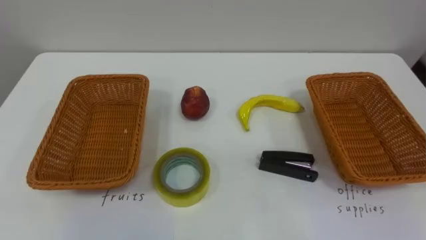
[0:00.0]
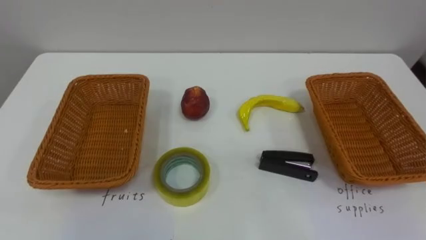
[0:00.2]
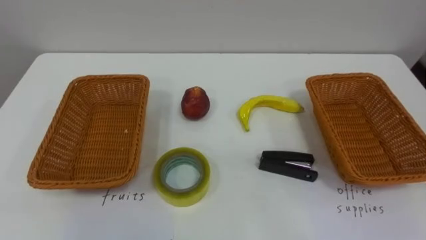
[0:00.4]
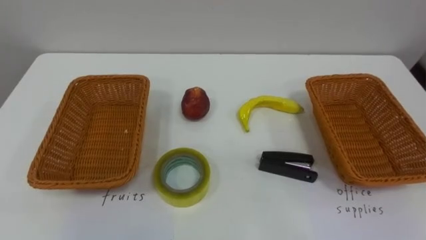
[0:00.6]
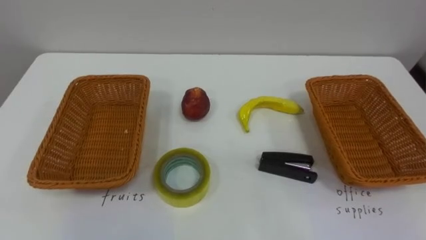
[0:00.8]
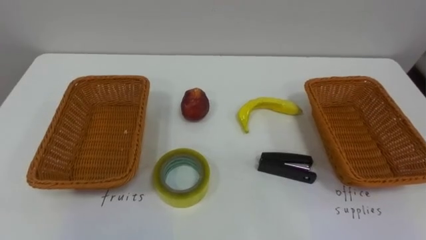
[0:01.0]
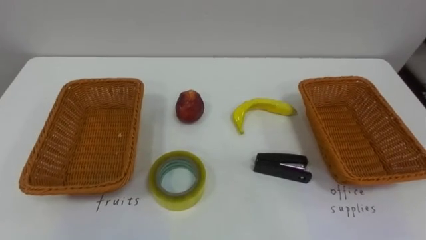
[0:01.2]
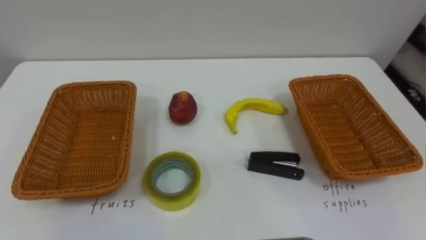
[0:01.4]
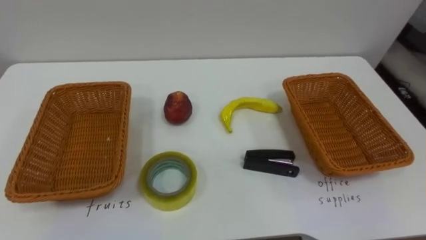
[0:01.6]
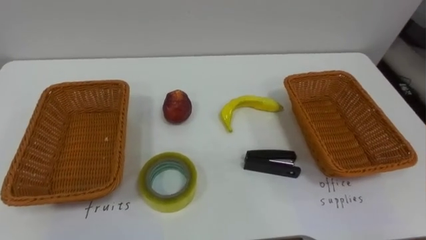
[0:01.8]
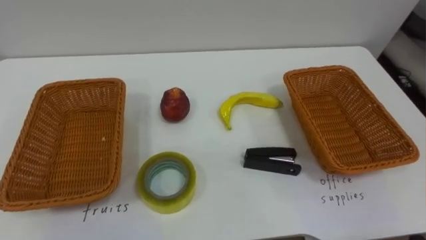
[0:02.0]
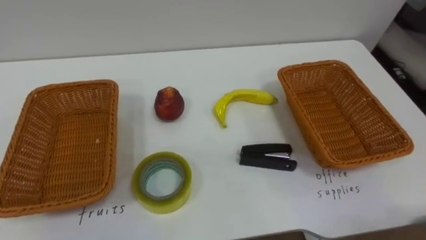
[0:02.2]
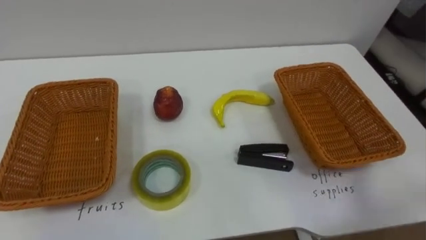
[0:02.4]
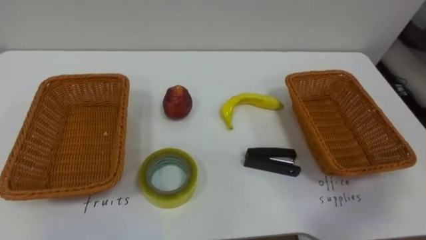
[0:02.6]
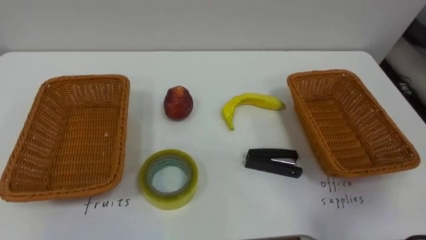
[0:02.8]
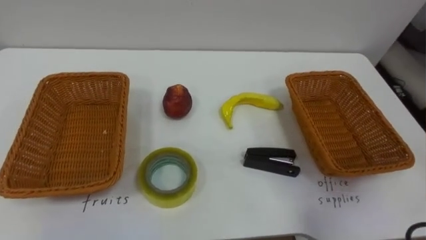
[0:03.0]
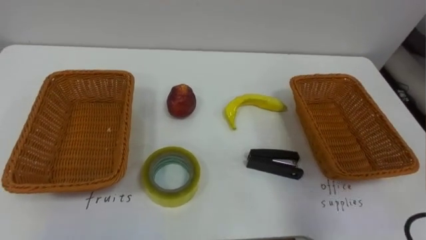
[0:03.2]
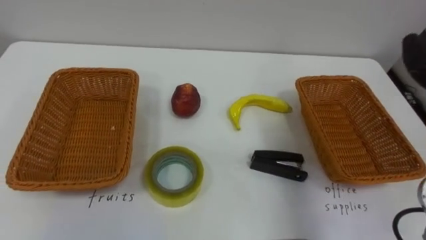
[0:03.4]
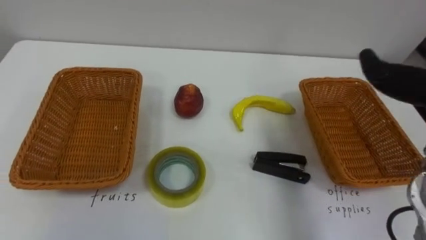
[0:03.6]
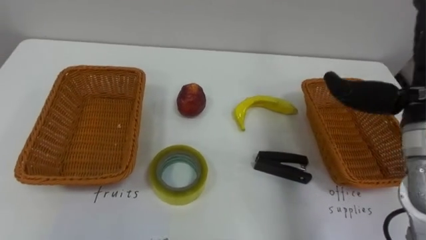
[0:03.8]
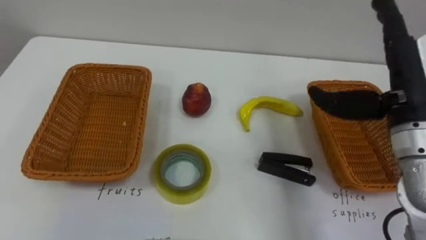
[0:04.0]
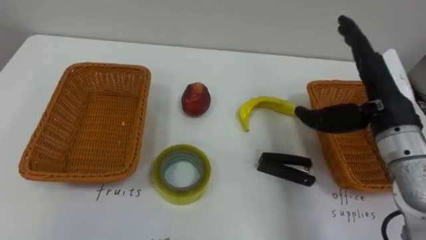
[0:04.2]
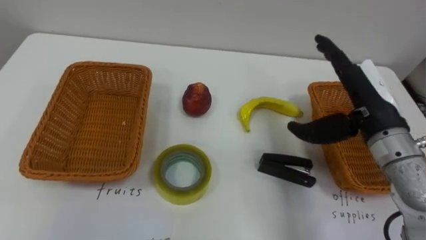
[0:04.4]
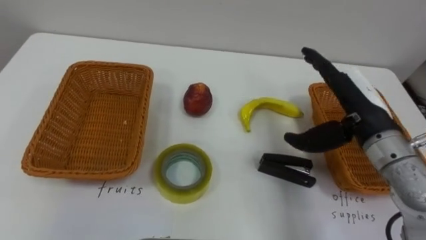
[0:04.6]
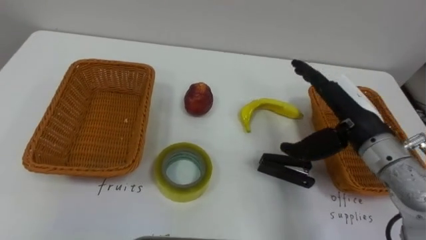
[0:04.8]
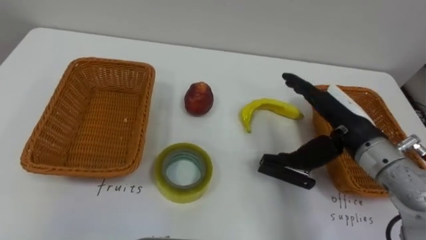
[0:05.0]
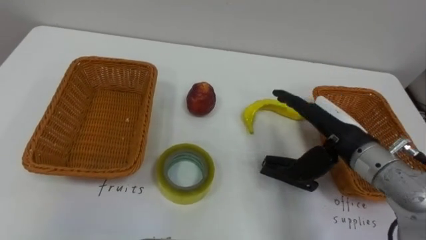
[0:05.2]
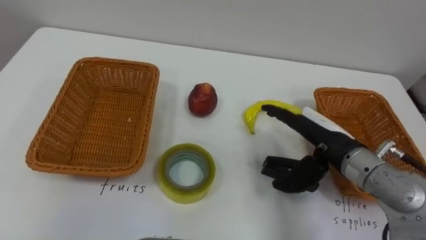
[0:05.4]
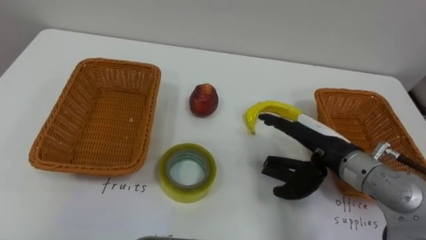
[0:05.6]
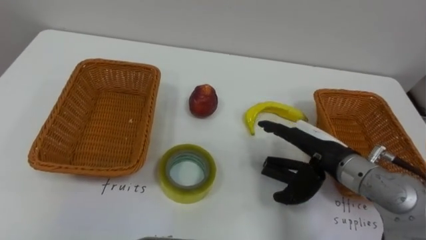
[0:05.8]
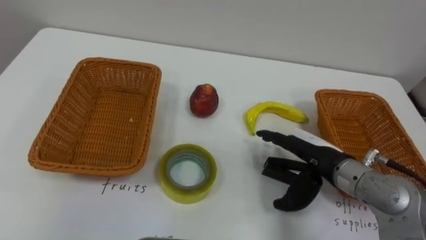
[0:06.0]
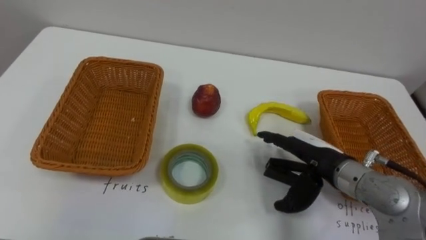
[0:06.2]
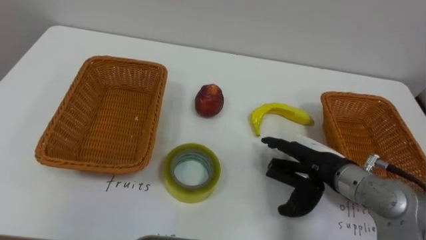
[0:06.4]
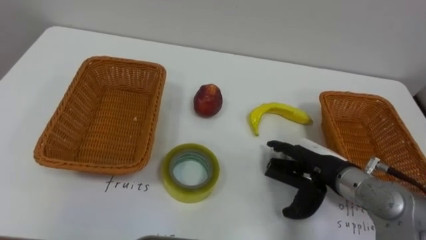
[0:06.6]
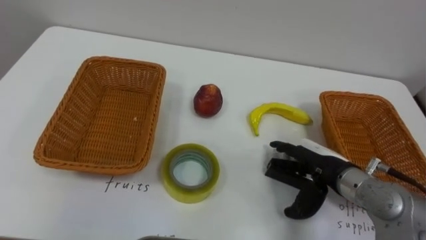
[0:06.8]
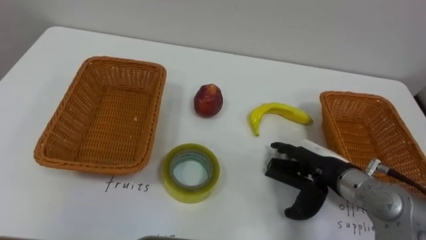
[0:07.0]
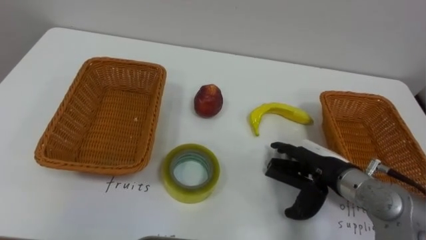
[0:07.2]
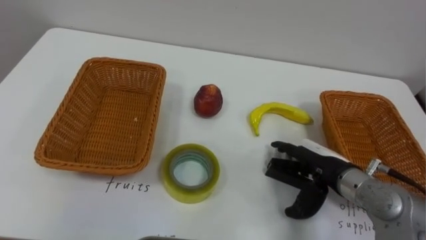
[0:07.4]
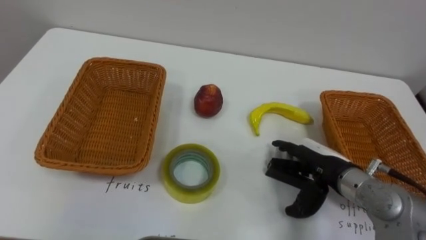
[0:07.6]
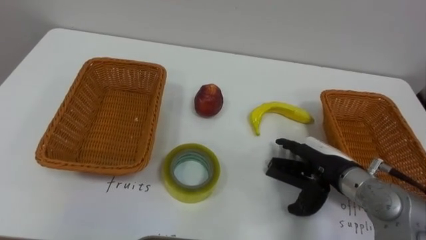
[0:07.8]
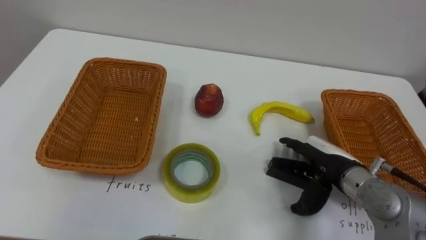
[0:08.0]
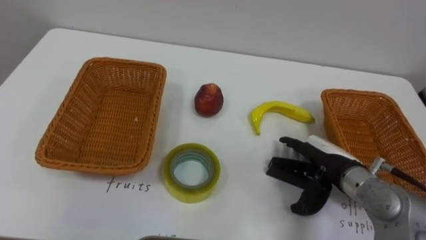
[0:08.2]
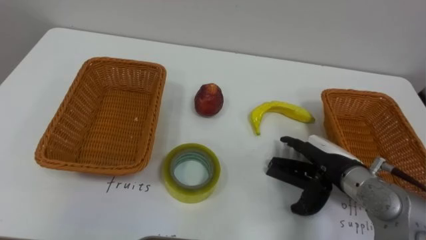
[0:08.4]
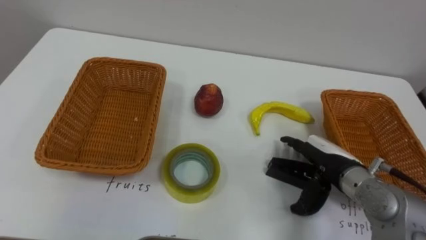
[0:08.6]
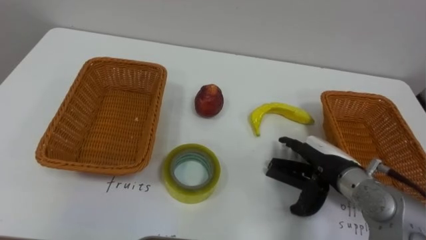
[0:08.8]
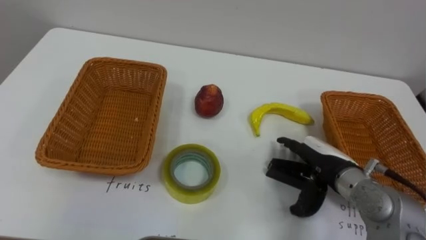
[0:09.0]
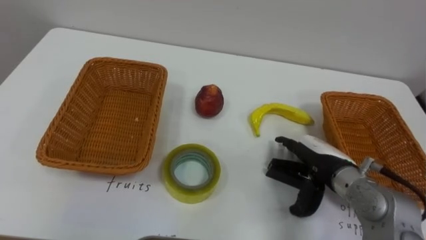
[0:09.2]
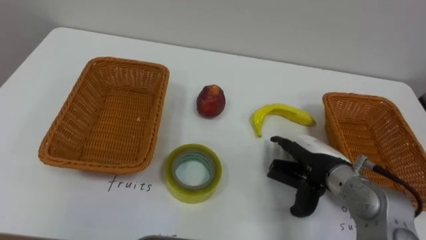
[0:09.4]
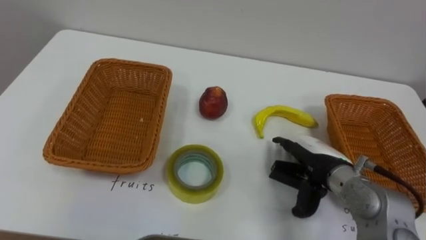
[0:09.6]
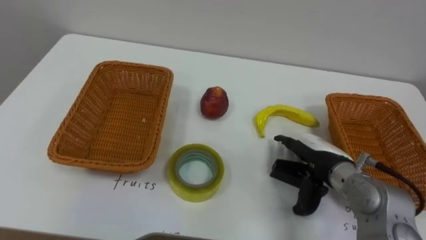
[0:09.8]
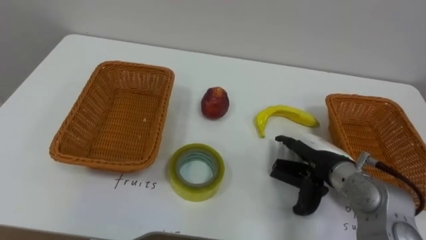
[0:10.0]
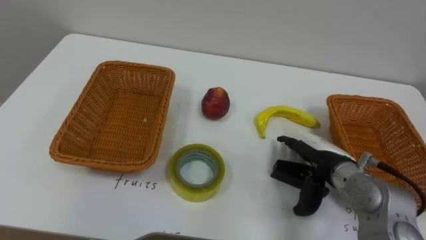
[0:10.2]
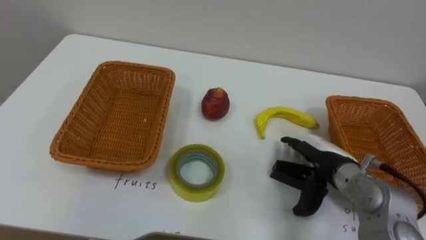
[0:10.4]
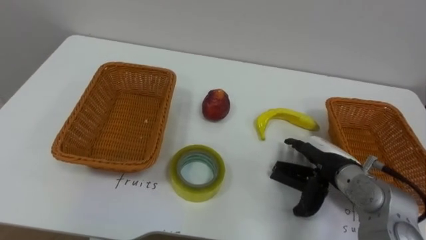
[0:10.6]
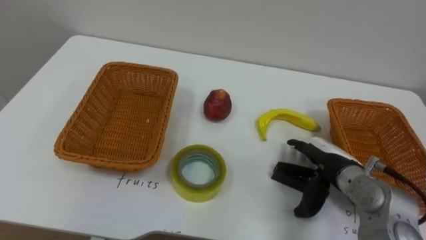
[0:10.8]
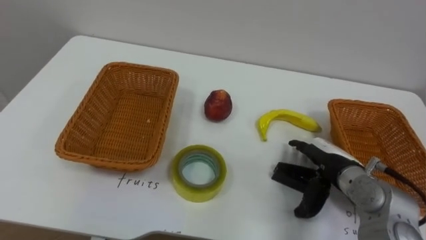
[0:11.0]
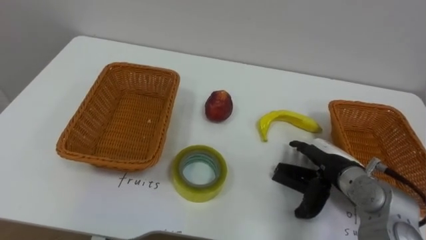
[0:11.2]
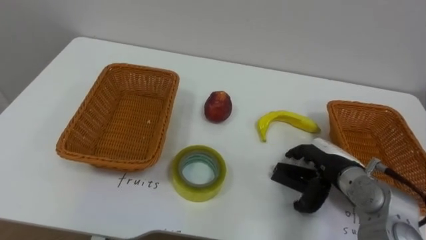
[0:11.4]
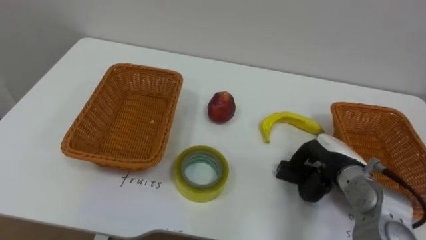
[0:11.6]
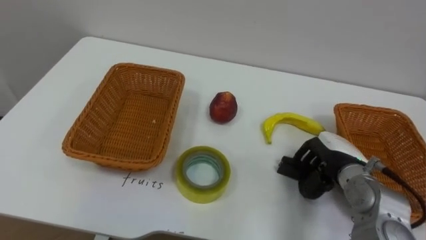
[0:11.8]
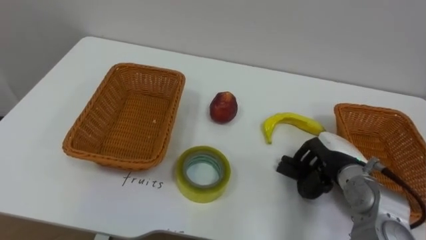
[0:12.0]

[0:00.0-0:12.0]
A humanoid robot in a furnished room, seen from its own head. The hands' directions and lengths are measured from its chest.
Task of the whole recording: Separate the items on the table and place them into the two baskets.
0:04.4 to 0:06.0: The right hand is displaced downward and to the left by about 10 cm.
0:10.4 to 0:12.0: The right hand closes.

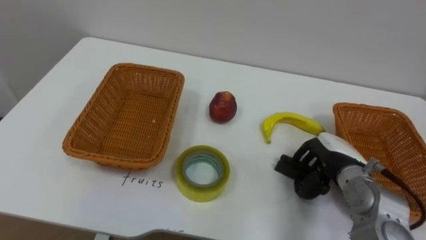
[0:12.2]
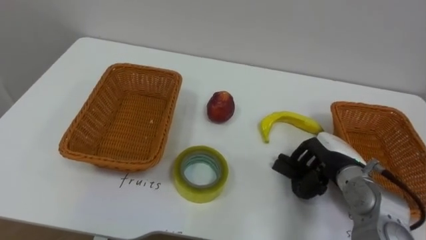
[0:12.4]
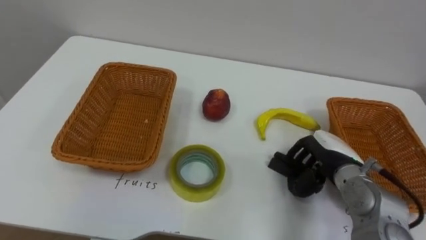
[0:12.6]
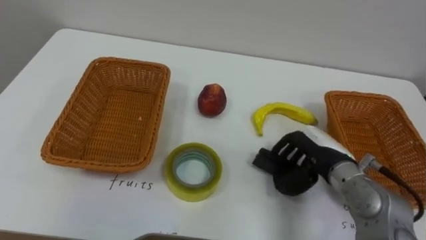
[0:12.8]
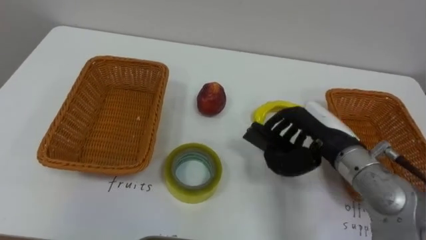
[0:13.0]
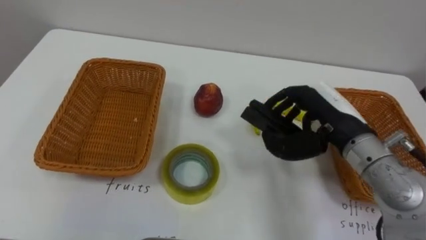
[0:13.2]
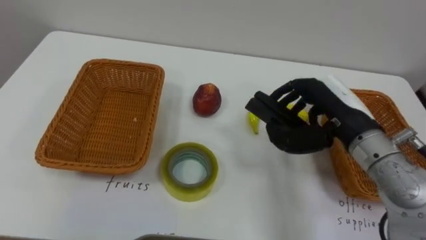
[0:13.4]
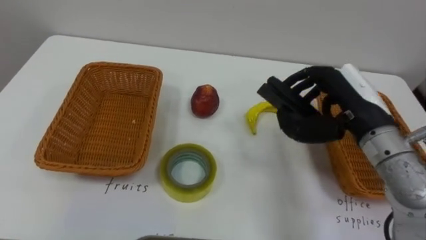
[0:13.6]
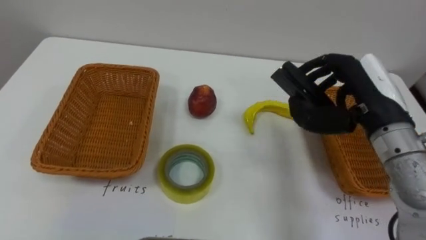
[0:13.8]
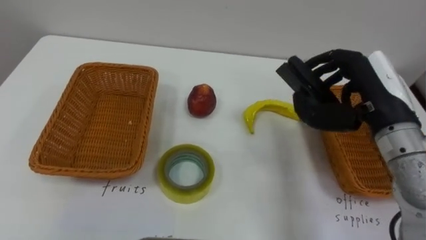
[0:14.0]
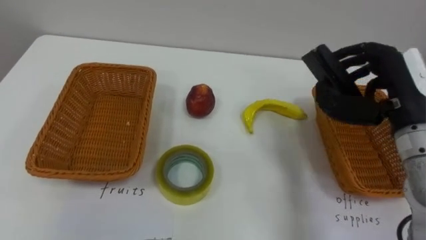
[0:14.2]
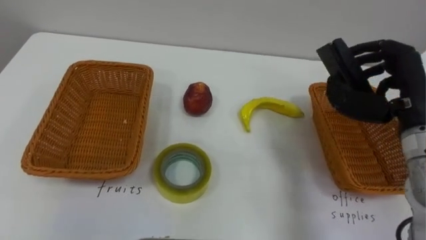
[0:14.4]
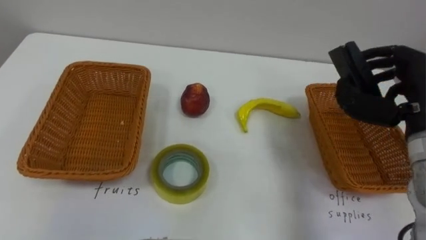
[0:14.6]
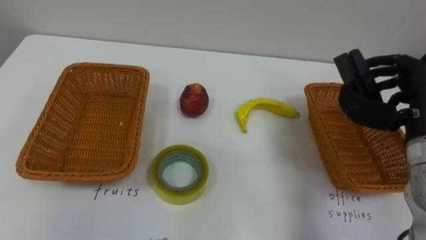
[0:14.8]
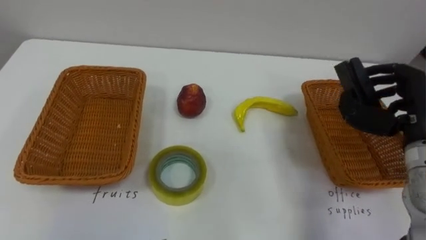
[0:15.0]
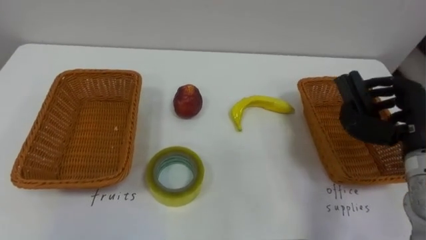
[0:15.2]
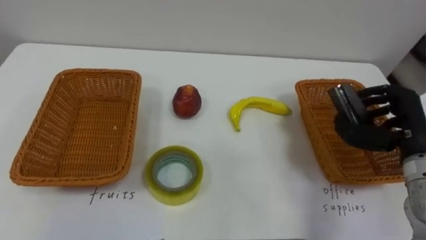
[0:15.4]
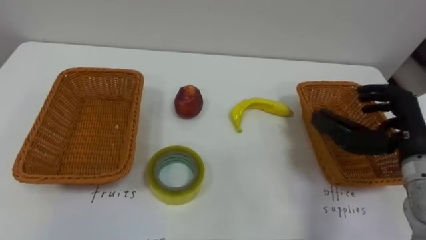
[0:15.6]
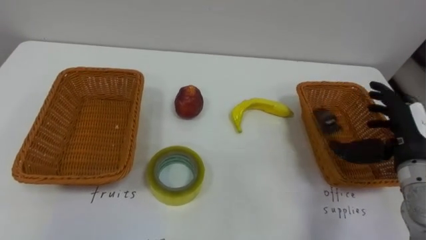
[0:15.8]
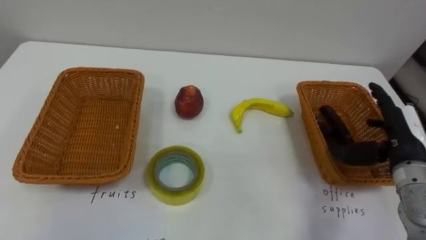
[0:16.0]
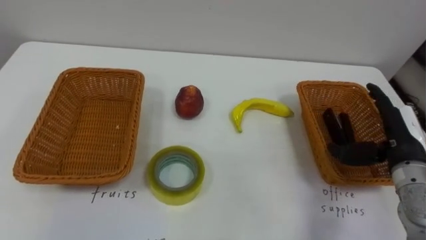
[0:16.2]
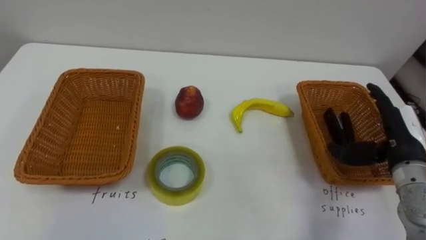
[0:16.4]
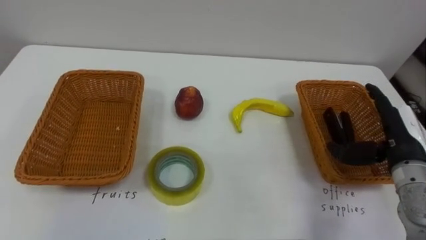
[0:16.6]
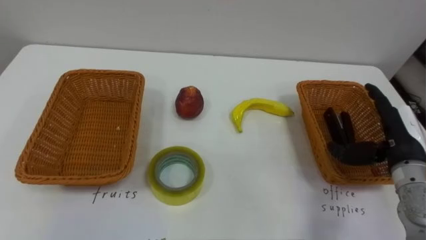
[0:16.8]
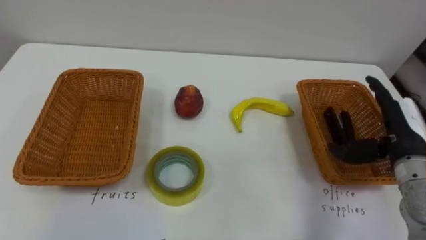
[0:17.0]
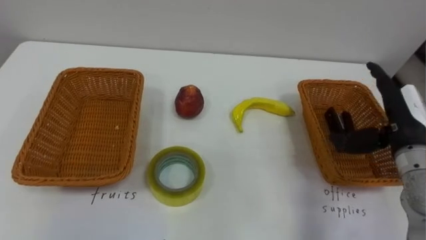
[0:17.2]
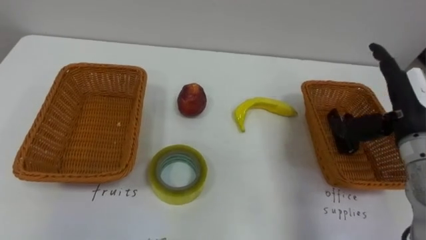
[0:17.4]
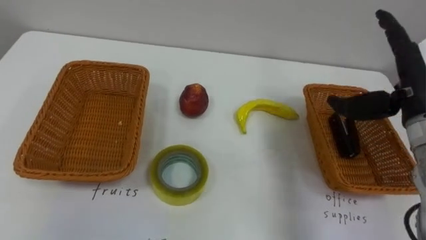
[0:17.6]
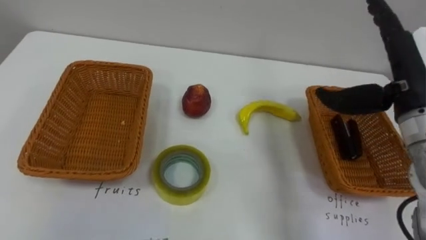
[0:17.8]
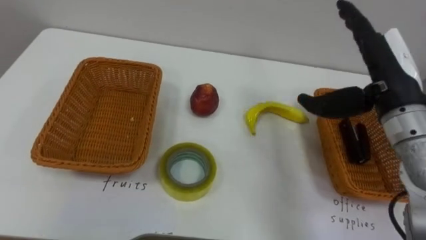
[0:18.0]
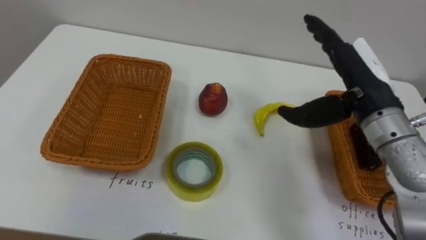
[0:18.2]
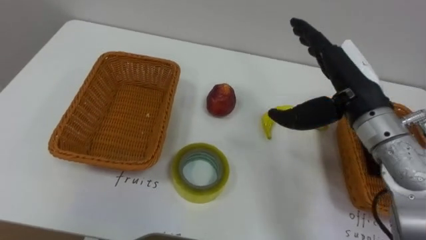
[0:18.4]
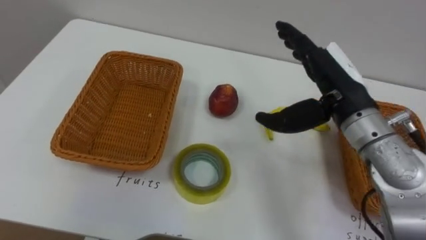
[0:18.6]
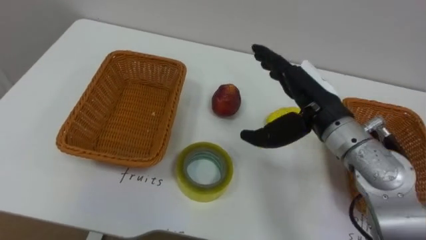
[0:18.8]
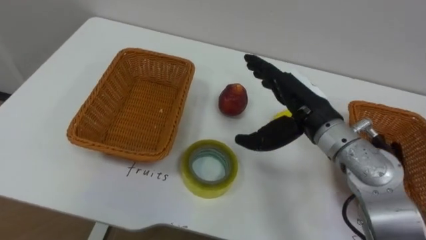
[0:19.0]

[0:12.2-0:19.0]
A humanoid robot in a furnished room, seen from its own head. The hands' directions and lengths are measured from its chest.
Task of the whole recording: Separate the items on the table and place them into the two baskets.
0:12.2 to 0:13.6: The right hand moves upward, some 15 cm.
0:13.6 to 0:15.0: The right hand shifts approximately 10 cm to the right.
0:15.0 to 0:16.2: The right hand heads downward, covering approximately 5 cm, and opens its fingers.
0:16.2 to 0:17.6: The right hand shifts about 10 cm upward.
0:17.6 to 0:19.0: The right hand travels to the left by about 15 cm.
